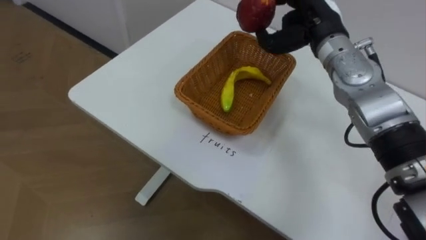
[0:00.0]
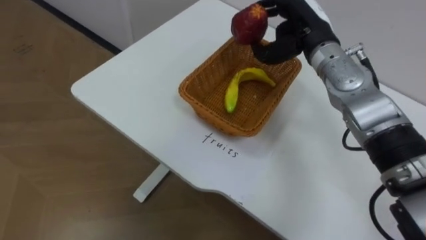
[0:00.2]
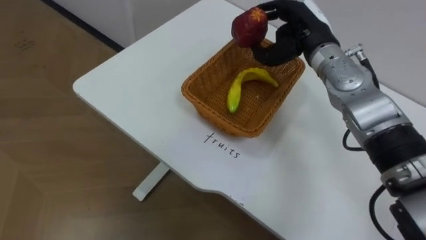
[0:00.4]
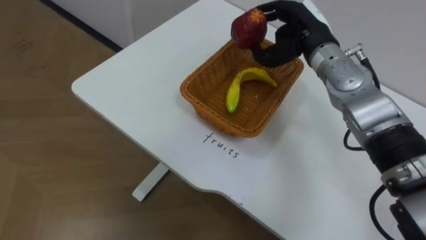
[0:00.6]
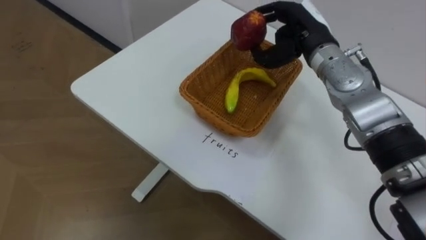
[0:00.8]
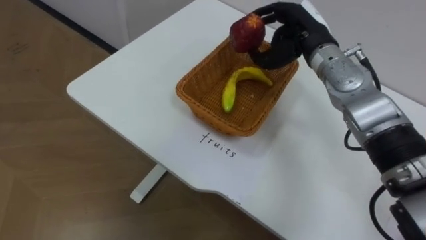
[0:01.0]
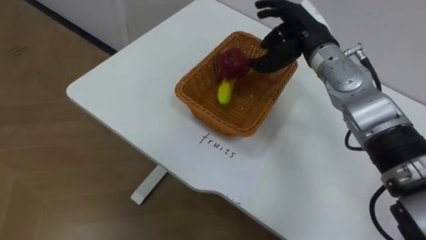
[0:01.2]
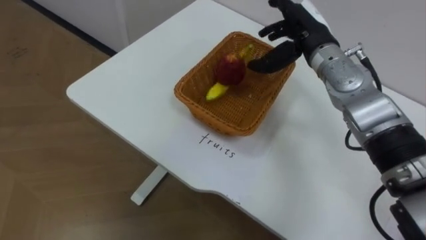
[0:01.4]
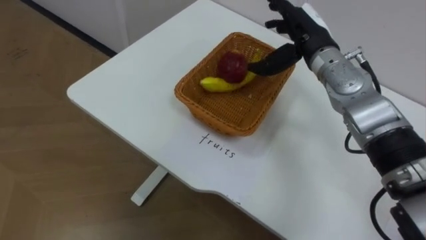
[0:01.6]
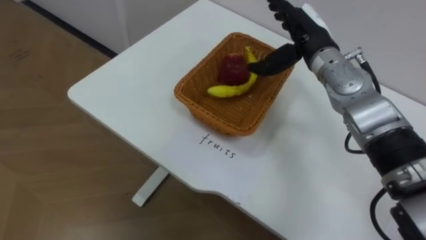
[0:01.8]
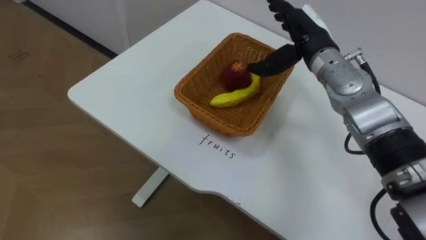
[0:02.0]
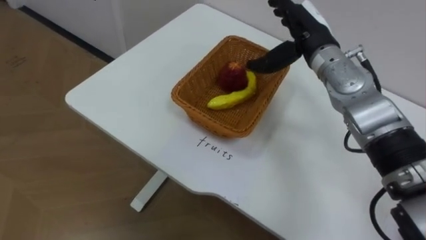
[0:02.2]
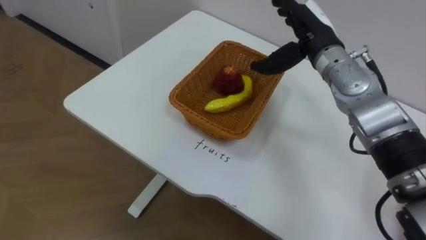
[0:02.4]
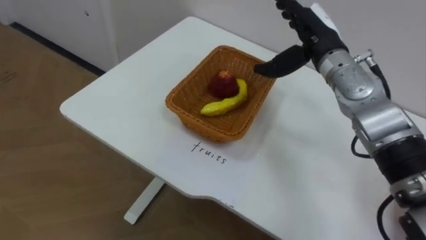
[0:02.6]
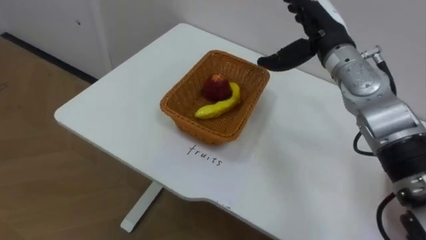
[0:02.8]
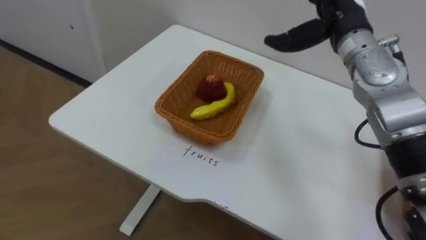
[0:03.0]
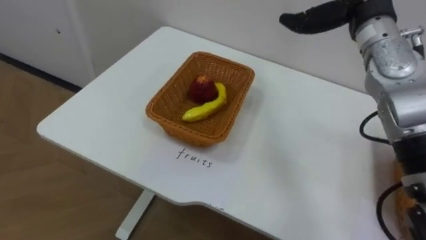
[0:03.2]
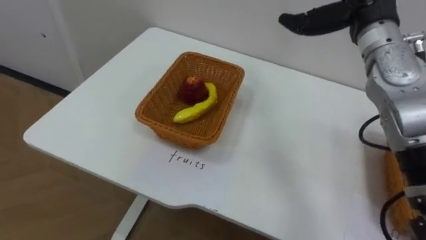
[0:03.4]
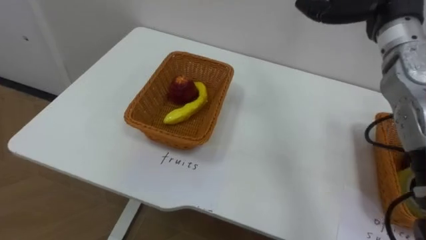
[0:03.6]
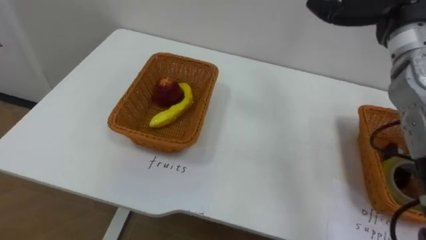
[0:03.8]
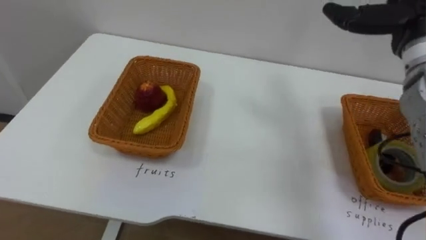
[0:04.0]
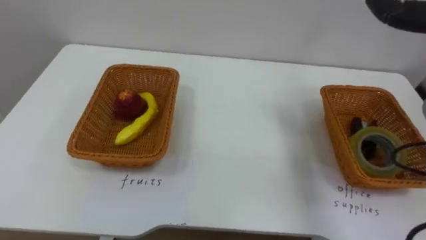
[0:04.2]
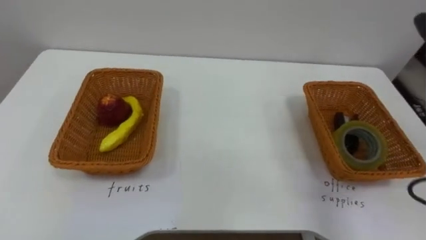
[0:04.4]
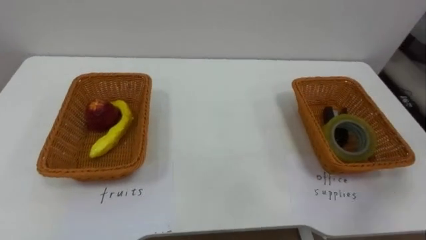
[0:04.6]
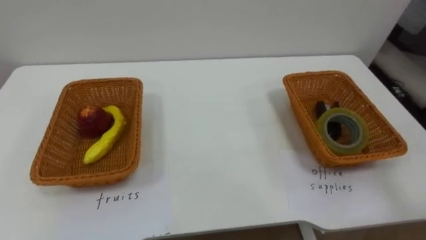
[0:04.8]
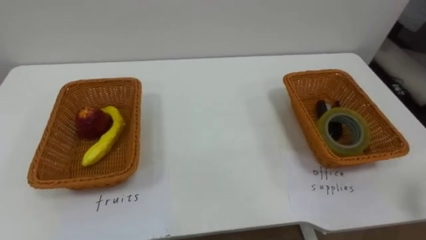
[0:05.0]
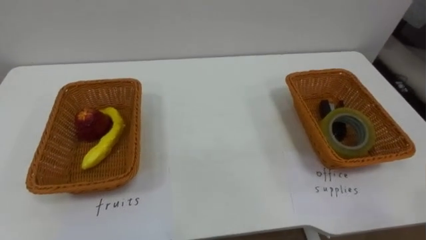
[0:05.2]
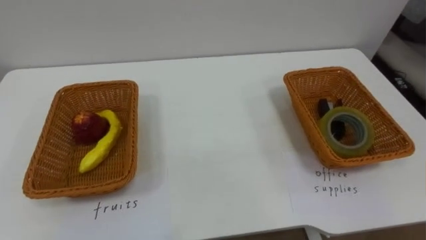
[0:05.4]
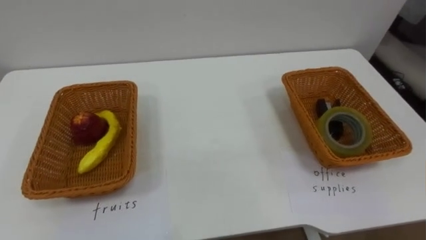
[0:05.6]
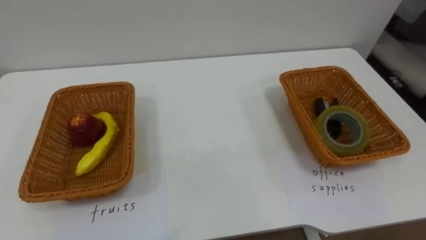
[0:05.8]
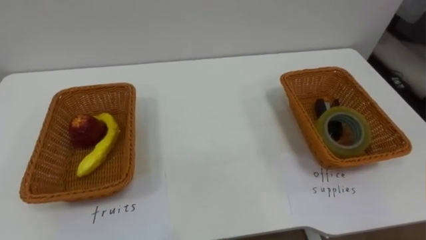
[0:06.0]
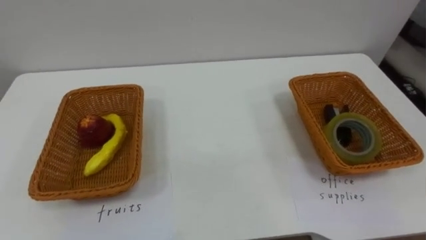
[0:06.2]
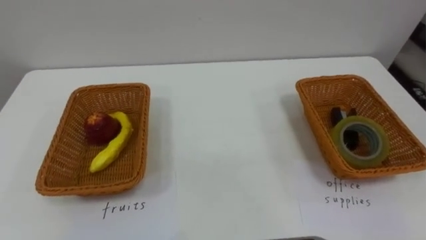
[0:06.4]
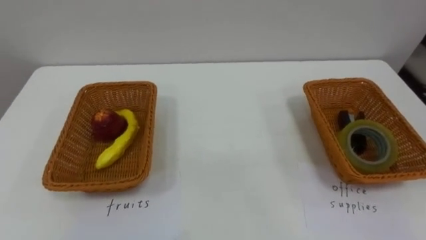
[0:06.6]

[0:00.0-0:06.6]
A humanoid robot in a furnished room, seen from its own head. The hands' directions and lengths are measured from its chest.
Task of the whole recording: Separate the items on the table and place them into the two baskets.
0:00.0 to 0:01.6: The right hand opens up.

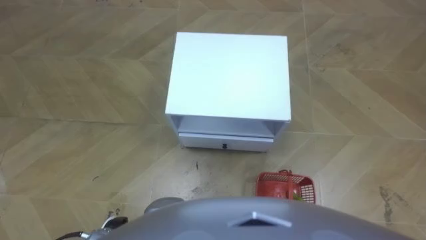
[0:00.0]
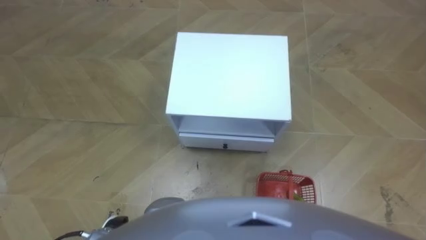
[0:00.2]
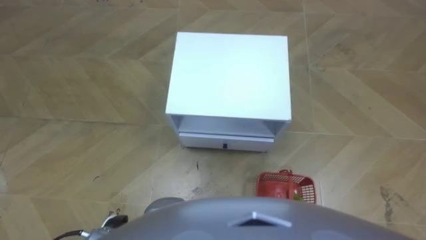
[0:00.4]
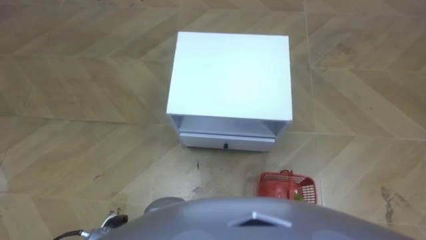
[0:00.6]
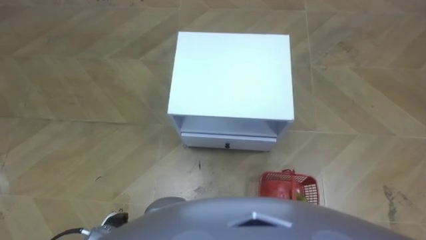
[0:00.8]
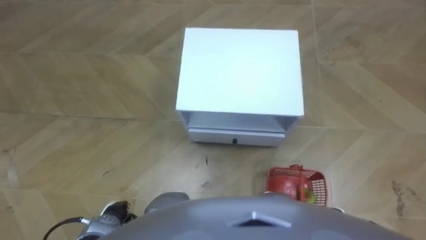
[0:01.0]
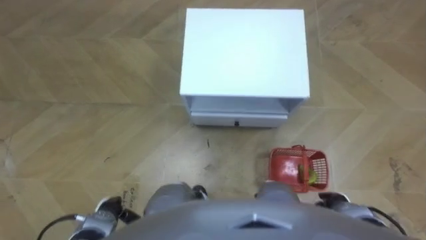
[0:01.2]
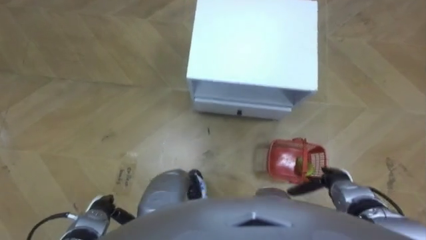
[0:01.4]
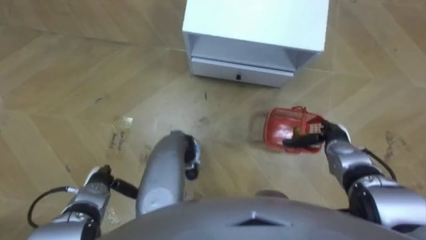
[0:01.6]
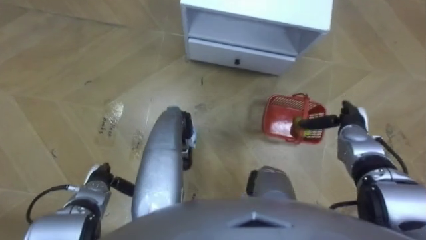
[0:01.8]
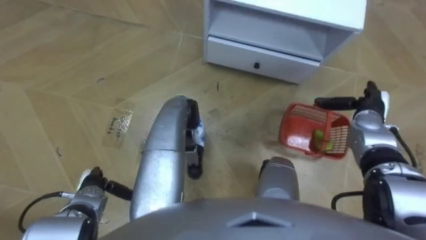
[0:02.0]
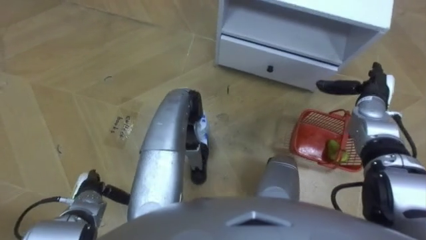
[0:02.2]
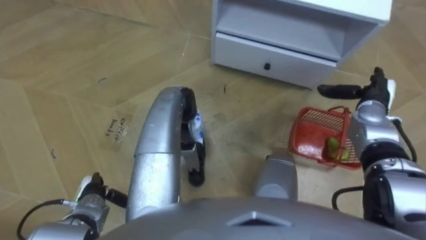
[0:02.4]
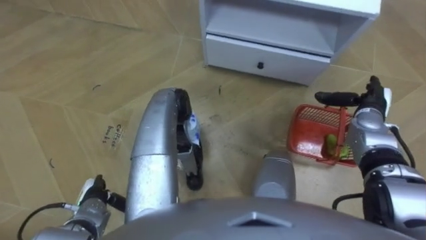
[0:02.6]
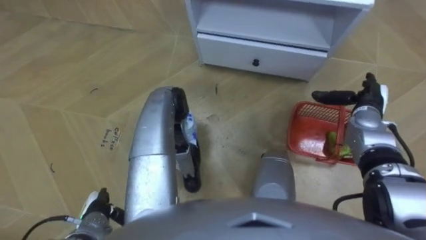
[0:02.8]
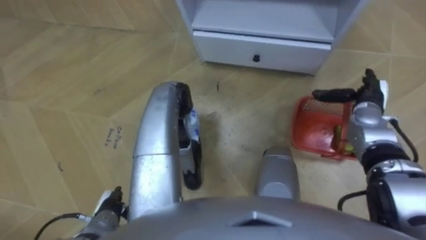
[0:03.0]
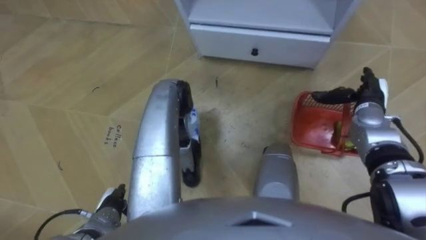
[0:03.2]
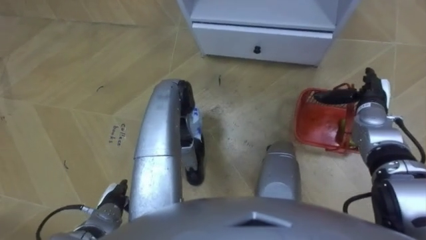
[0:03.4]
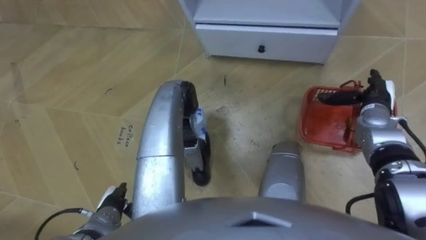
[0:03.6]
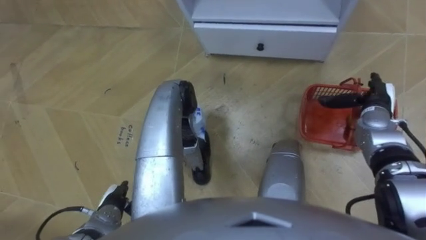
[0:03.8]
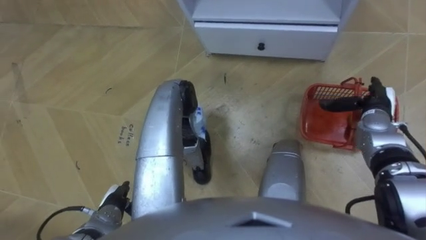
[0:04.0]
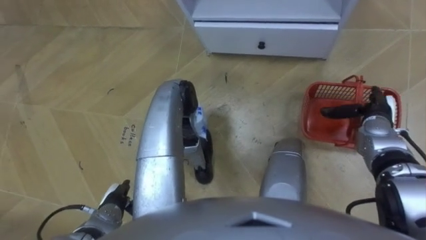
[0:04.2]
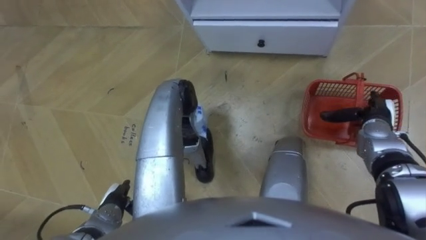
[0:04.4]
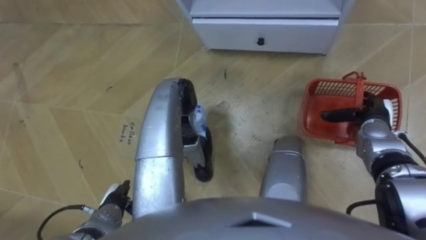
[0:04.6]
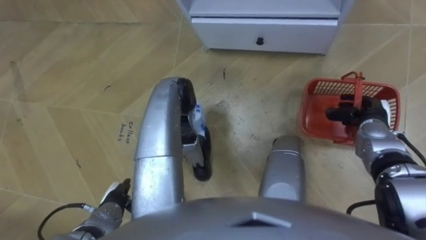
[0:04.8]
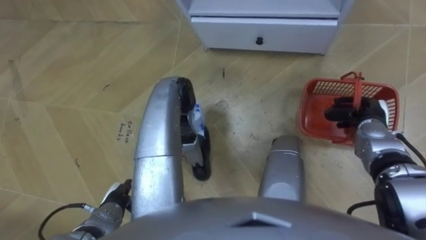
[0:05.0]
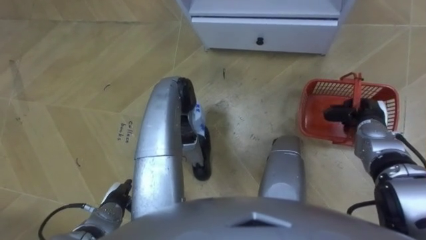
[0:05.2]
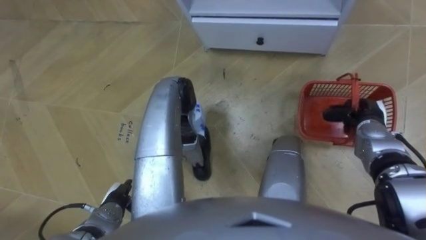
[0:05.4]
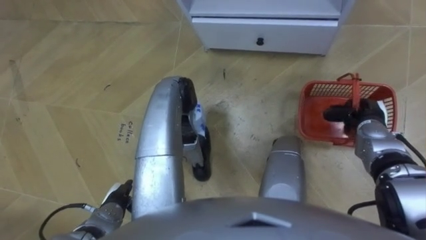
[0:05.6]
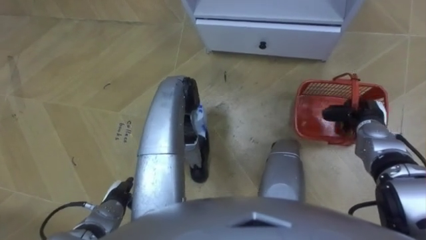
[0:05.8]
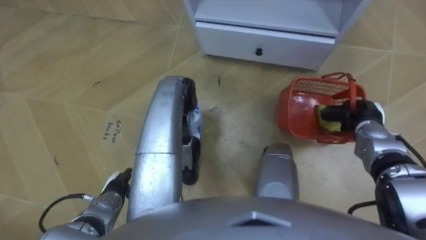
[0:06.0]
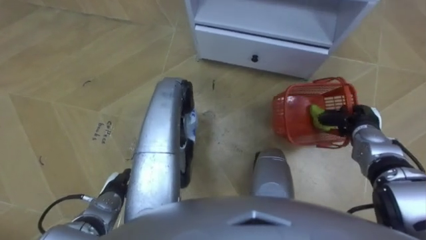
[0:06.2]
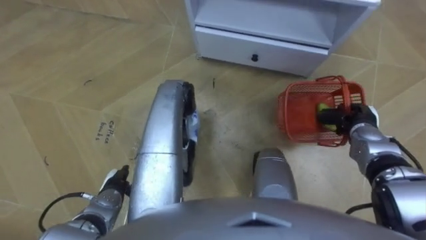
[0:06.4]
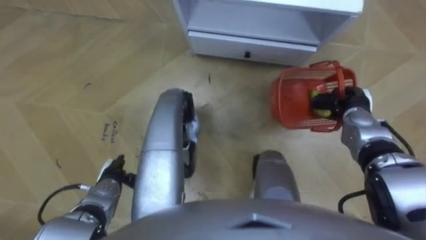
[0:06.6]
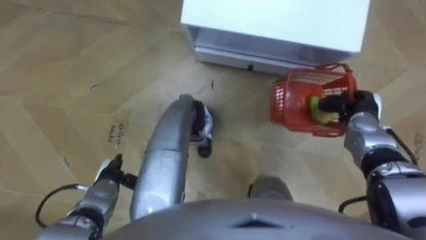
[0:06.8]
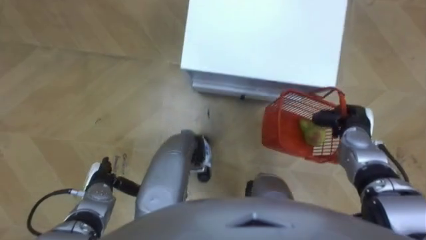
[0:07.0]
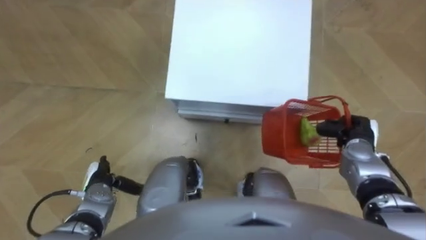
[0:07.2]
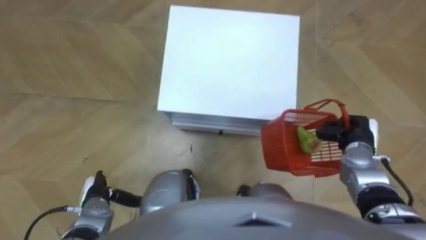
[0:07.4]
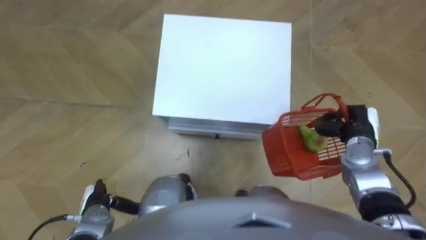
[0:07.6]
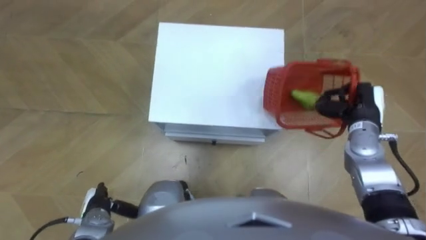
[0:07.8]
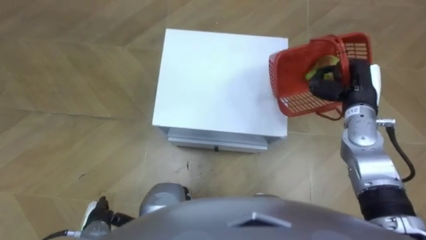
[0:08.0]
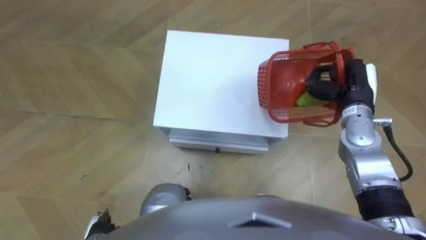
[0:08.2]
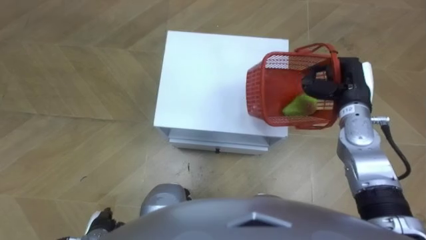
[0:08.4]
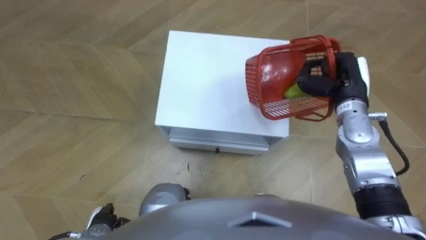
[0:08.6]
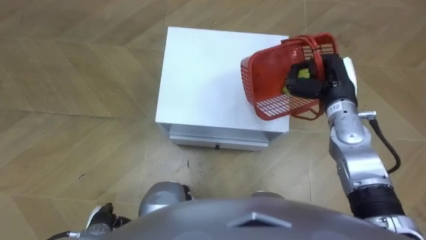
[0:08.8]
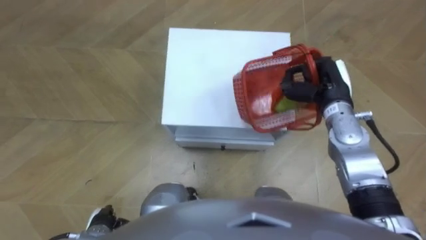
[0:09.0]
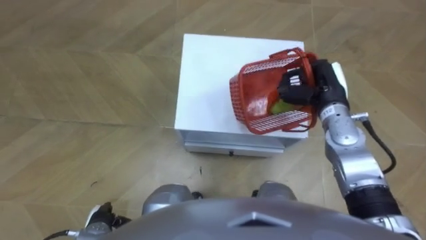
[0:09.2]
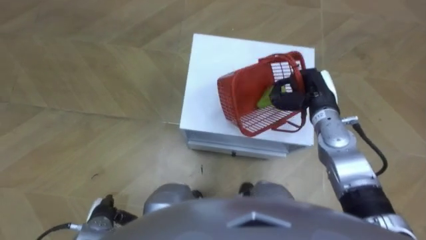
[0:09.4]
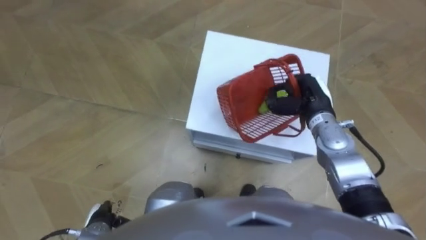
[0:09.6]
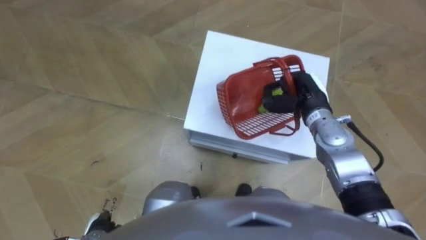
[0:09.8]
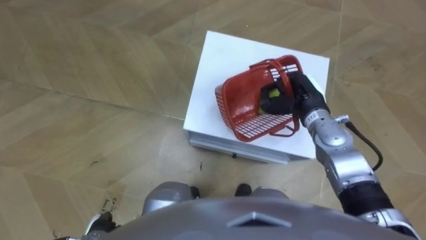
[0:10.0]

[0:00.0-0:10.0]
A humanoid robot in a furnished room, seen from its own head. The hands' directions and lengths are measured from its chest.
Task of the whole recording: Pick up the fruit basket from the floor and place it on the cabinet.
0:01.4 to 0:02.8: The right hand is displaced forward and upward by approximately 20 cm.
0:04.2 to 0:05.8: The right hand closes.
0:05.8 to 0:07.2: The left hand changes place by roughly 5 cm.
0:07.2 to 0:08.6: The right hand shifts about 15 cm upward, forward and to the left, while the left hand moves backward, approximately 10 cm.
0:08.6 to 0:10.0: The right hand is displaced to the left by roughly 5 cm.
